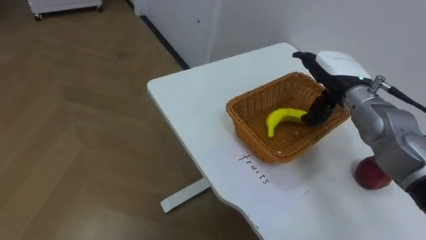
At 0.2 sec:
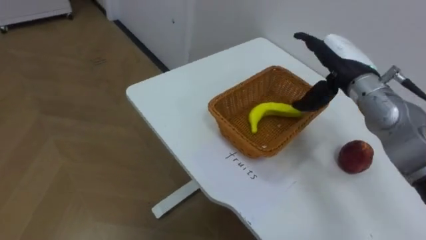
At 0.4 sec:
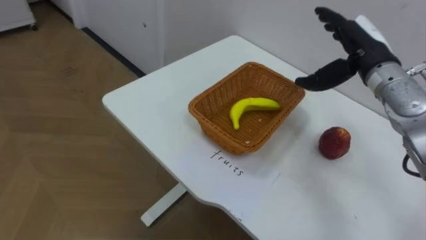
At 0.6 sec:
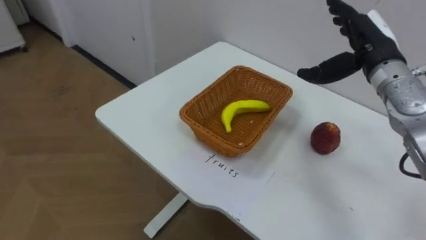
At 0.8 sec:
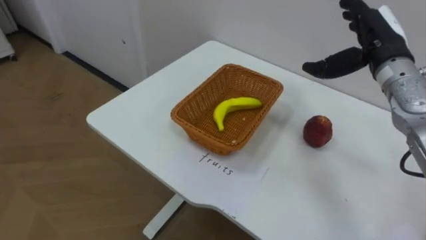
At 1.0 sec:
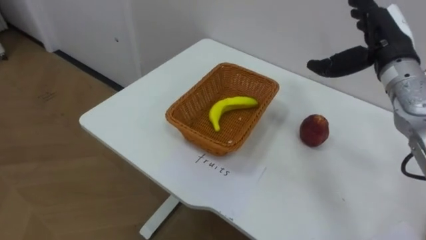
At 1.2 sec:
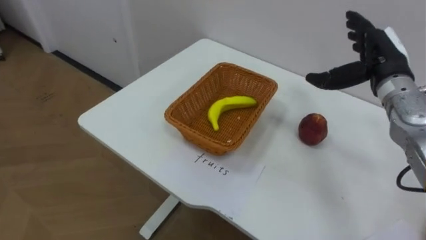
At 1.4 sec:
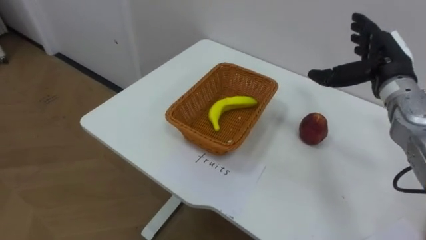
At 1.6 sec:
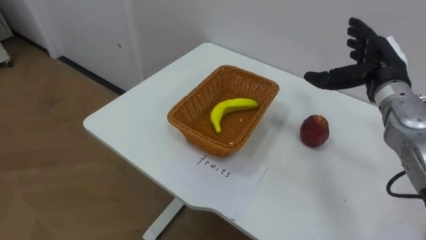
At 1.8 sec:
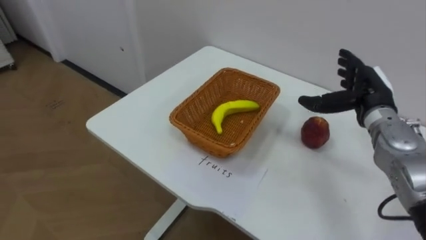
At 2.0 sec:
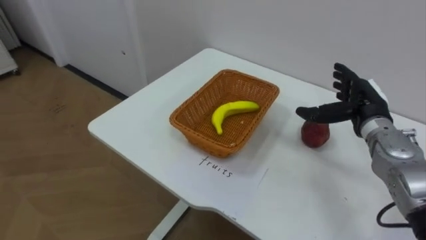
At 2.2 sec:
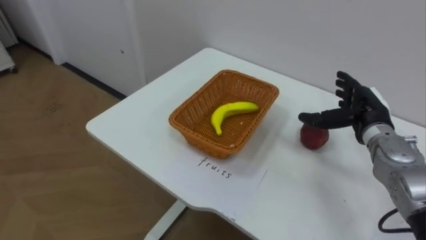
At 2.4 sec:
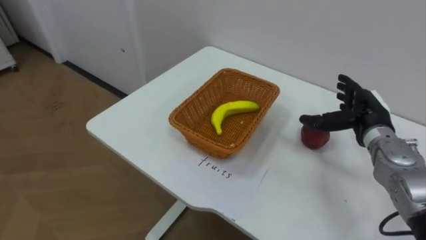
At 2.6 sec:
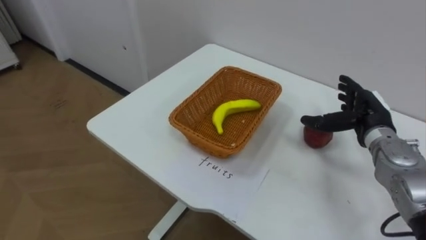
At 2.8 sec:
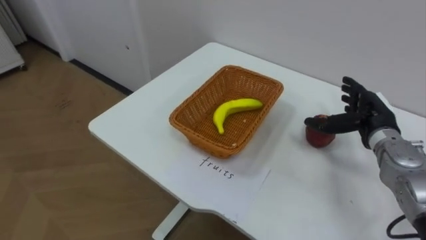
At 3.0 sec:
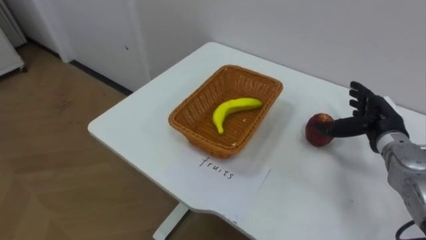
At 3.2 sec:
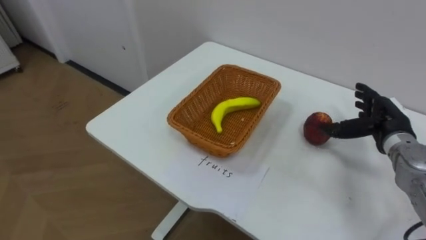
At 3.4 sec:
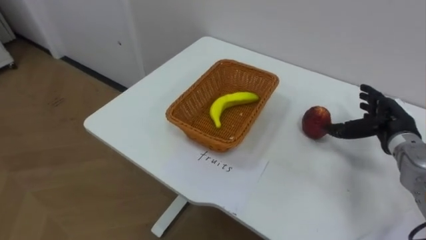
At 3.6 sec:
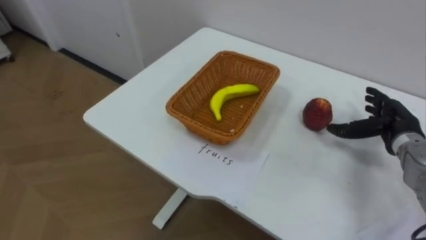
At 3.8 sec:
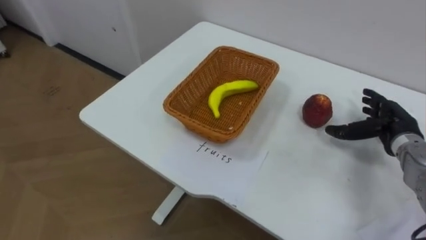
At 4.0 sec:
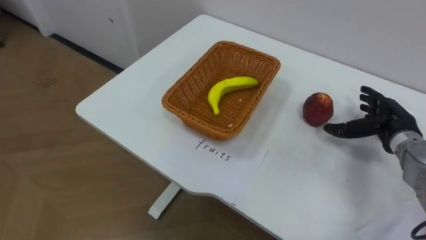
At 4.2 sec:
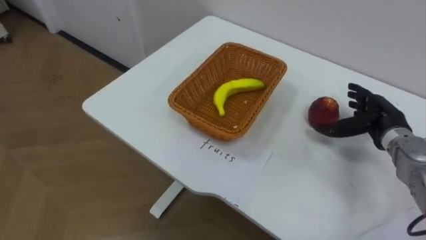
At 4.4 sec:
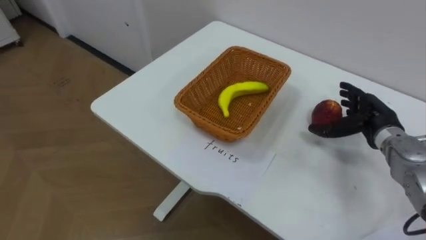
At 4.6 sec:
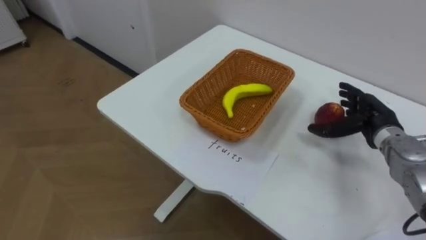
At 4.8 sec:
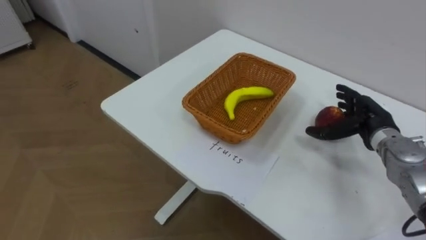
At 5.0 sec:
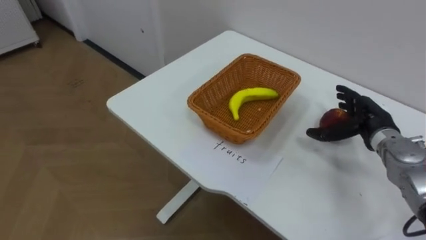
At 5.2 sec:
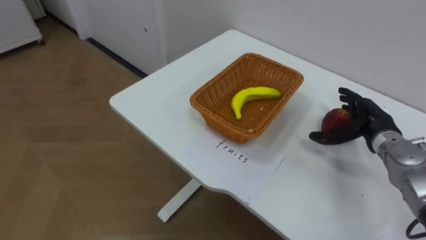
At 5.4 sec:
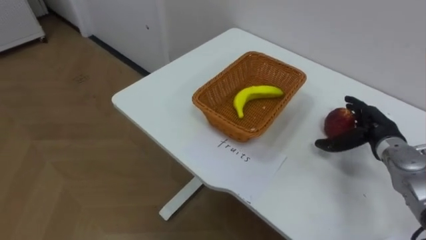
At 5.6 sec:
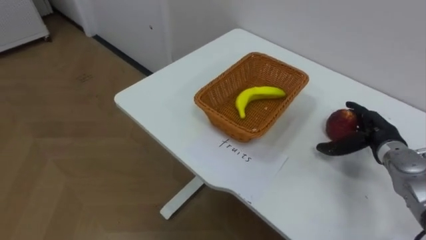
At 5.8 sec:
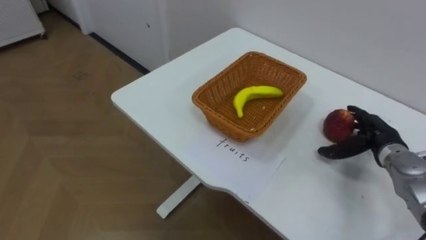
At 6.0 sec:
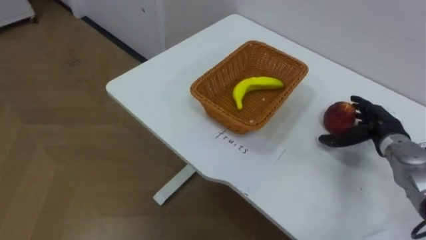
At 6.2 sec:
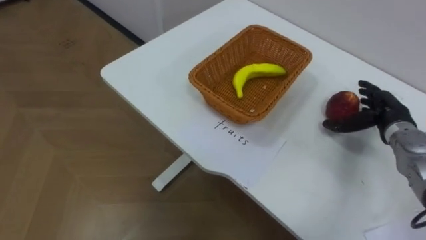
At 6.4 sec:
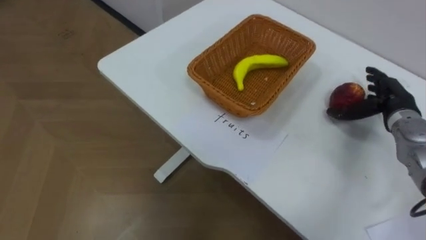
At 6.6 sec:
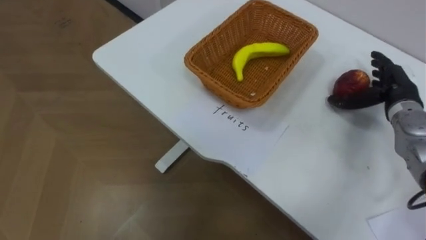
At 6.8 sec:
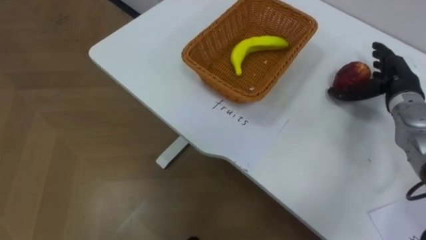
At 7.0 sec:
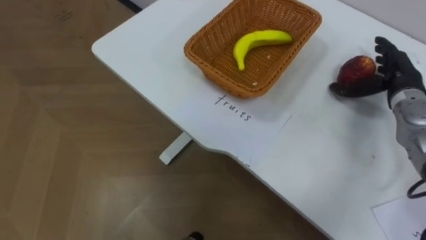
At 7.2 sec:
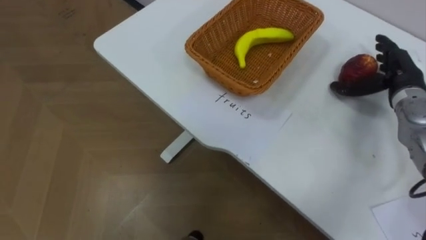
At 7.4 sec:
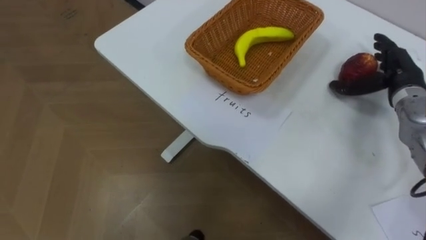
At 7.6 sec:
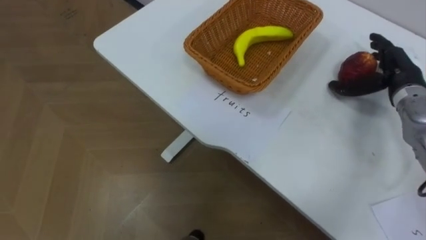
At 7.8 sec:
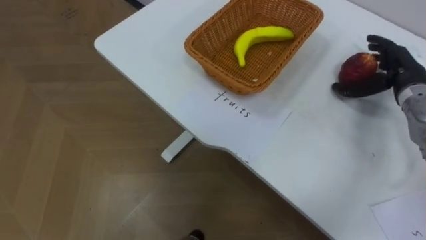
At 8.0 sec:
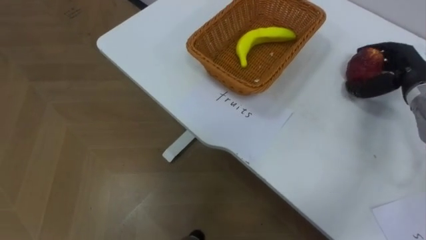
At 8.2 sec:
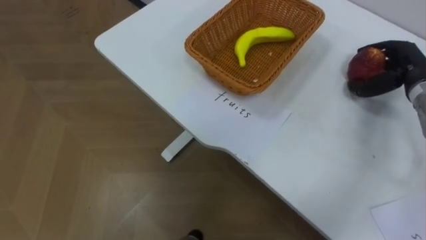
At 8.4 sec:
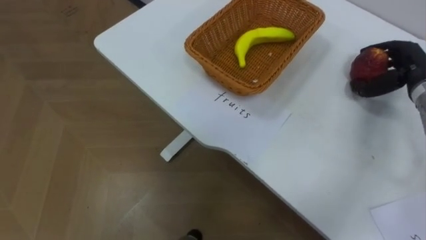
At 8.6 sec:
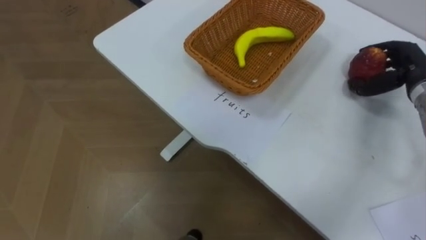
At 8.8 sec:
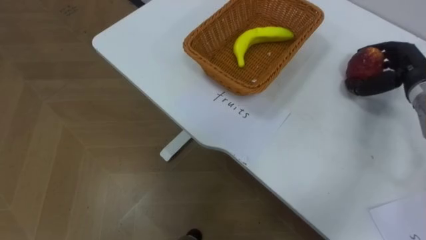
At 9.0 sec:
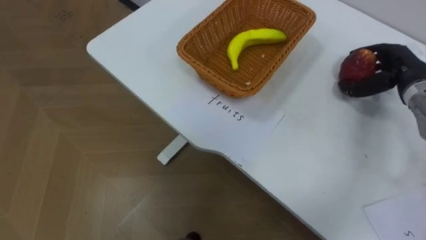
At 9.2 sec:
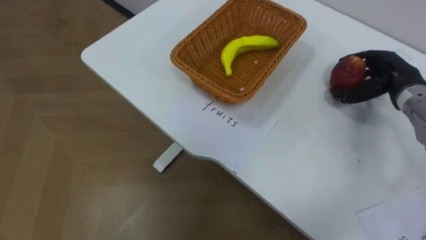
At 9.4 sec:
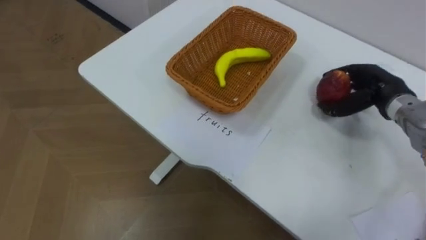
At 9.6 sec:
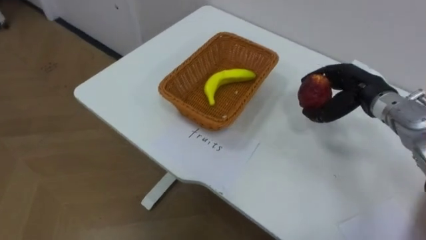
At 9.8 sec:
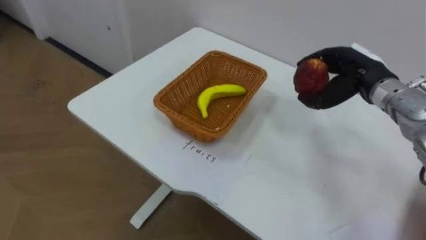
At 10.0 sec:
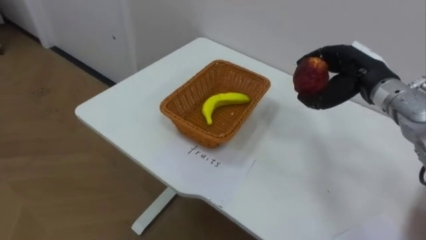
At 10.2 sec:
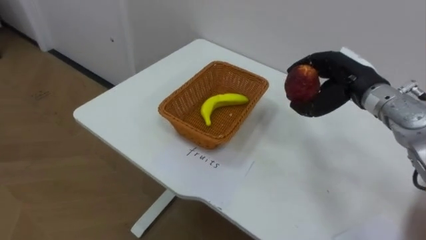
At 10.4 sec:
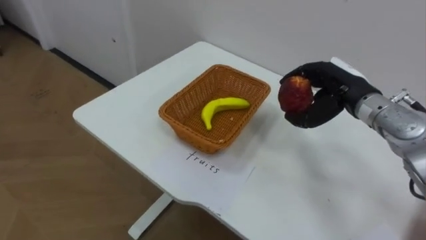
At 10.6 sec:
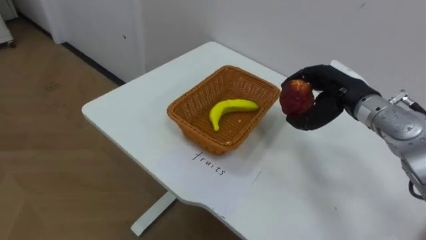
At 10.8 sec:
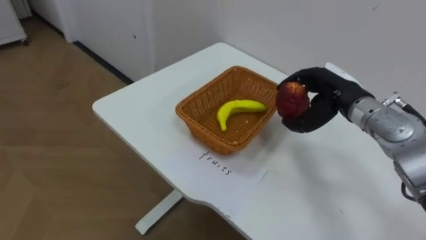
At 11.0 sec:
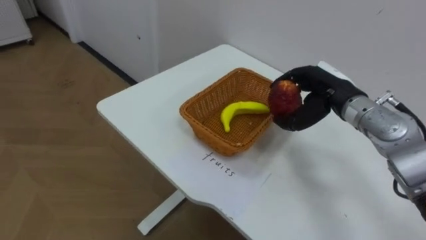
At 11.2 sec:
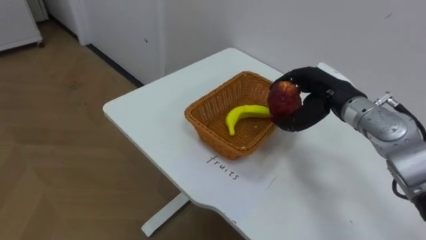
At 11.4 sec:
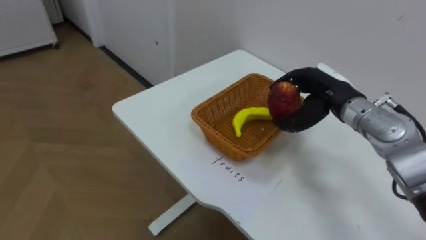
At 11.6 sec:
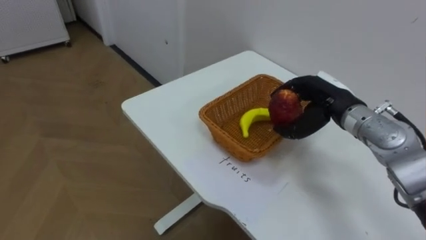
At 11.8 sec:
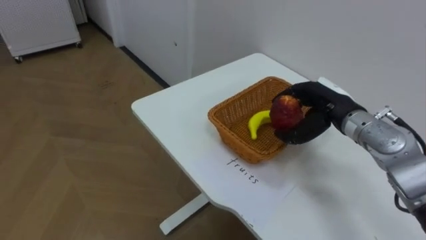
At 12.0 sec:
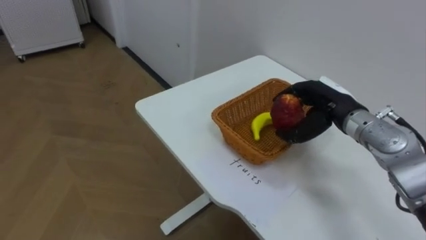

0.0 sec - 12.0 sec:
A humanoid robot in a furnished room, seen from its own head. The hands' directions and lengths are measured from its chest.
Task of the whole recording: Separate the items on the table and place them into the two baskets.
0.0 sec - 1.6 sec: The right hand travels to the right by about 5 cm.
1.6 sec - 3.0 sec: The right hand is displaced downward by approximately 10 cm.
6.0 sec - 7.6 sec: The right hand goes some 10 cm upward and forward.
7.6 sec - 9.0 sec: The right hand closes.
9.0 sec - 10.4 sec: The right hand moves to the left, some 10 cm.

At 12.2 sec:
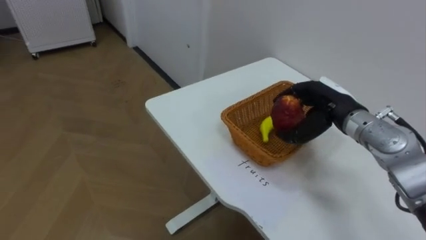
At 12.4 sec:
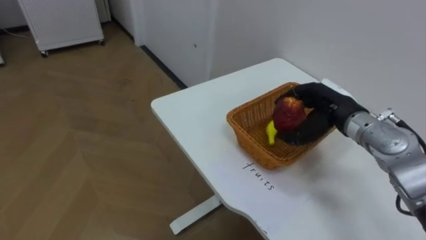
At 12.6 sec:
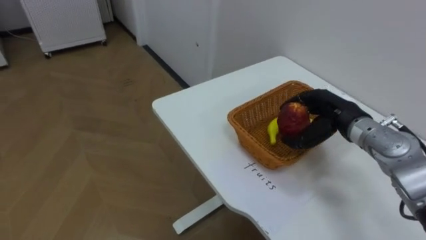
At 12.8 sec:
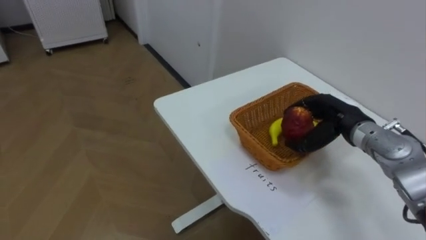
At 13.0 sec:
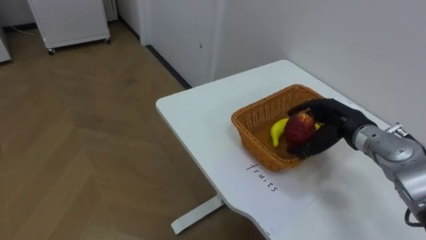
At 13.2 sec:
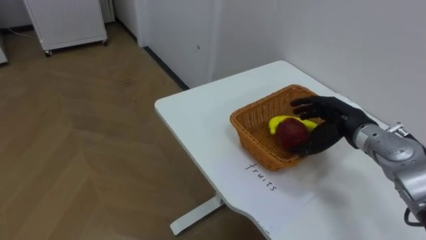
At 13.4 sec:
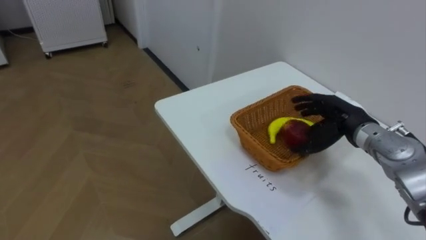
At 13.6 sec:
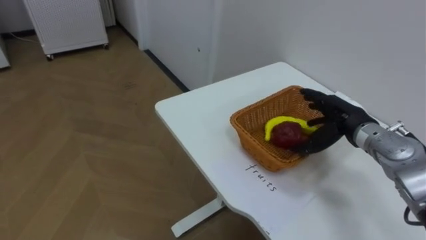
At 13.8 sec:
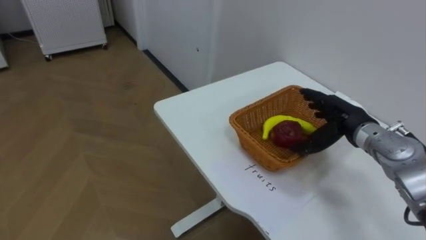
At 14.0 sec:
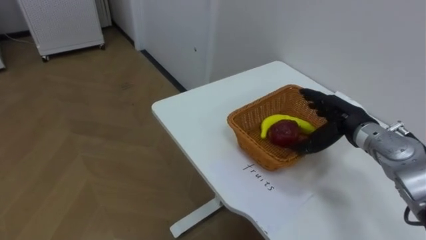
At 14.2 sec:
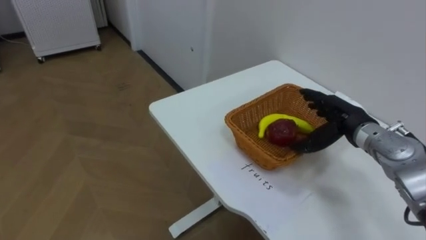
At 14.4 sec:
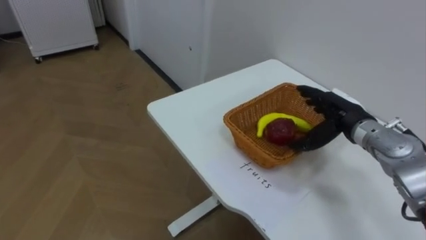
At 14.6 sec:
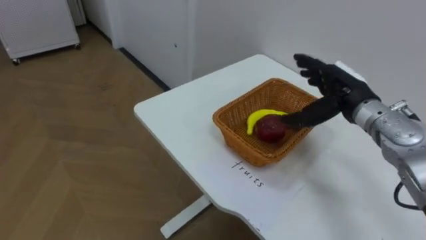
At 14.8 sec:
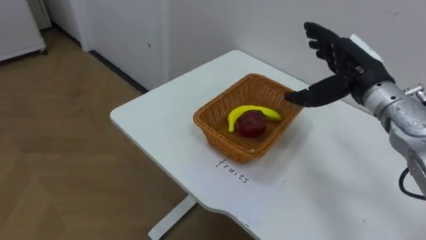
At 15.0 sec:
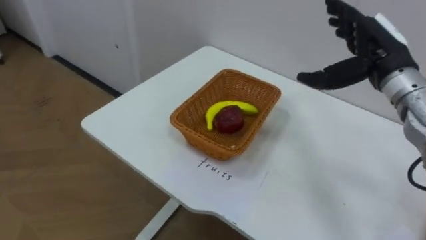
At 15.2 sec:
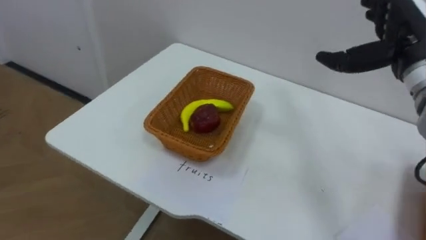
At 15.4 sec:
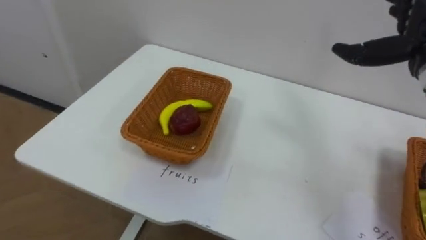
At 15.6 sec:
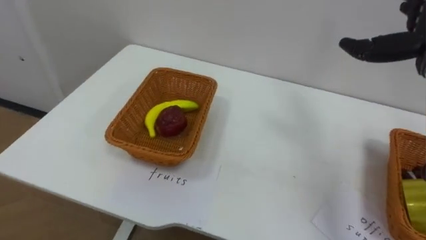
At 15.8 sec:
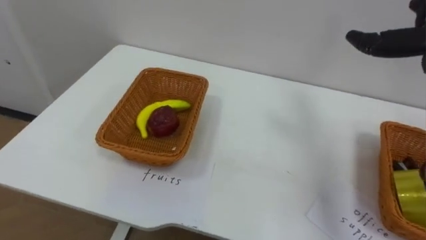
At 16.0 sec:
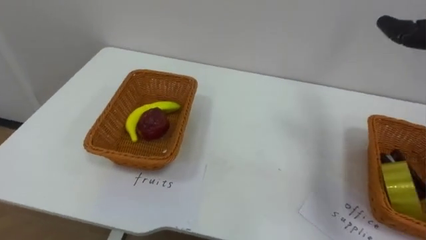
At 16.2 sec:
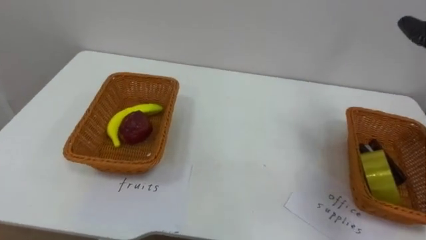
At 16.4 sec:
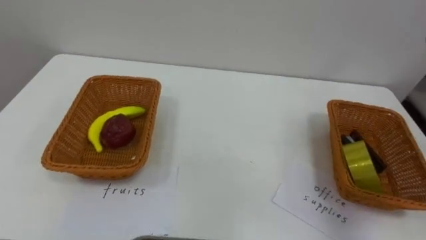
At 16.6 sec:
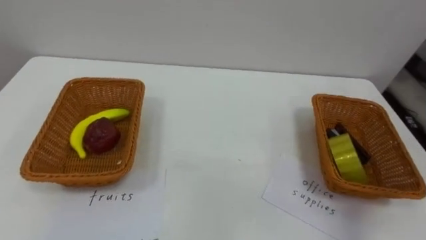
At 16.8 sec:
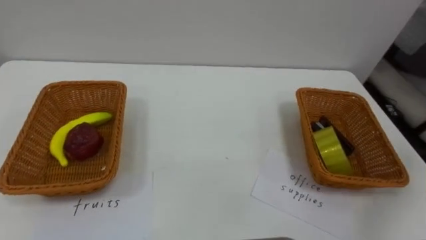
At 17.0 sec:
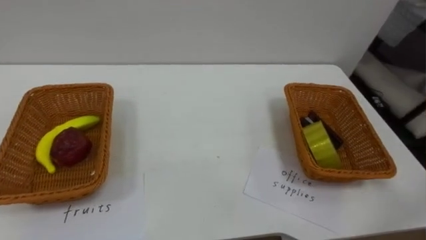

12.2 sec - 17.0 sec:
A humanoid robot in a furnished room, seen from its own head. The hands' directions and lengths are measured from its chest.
Task of the whole recording: Separate the items on the table and place them into the two baskets.
12.2 sec - 13.8 sec: The right hand opens.
13.8 sec - 15.4 sec: The right hand travels upward by roughly 15 cm.
